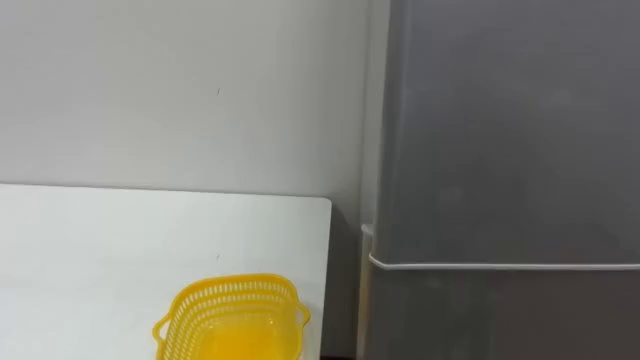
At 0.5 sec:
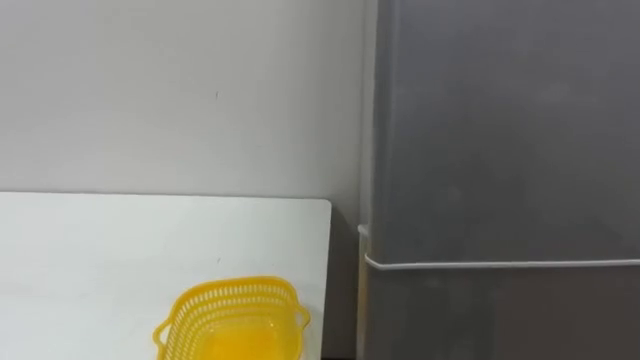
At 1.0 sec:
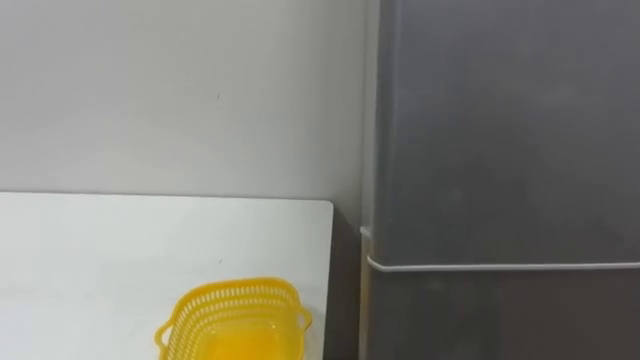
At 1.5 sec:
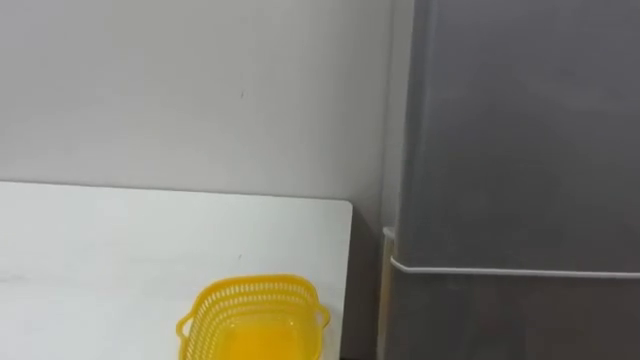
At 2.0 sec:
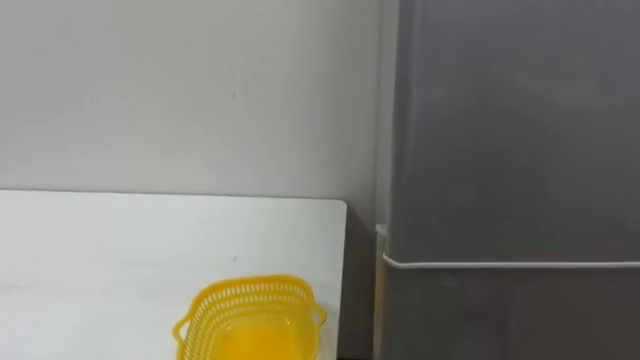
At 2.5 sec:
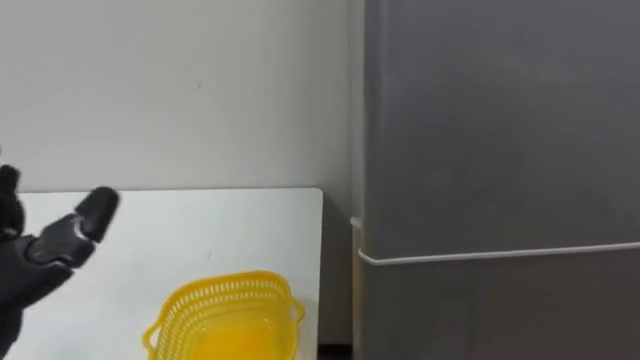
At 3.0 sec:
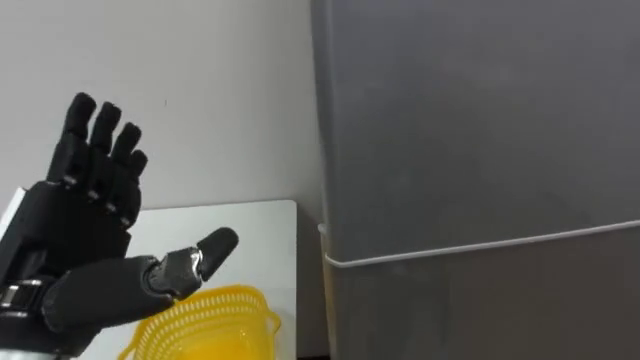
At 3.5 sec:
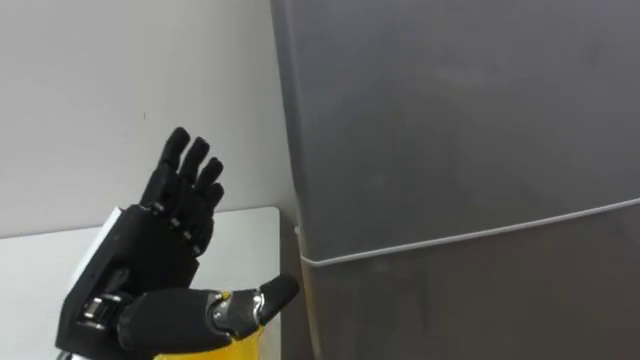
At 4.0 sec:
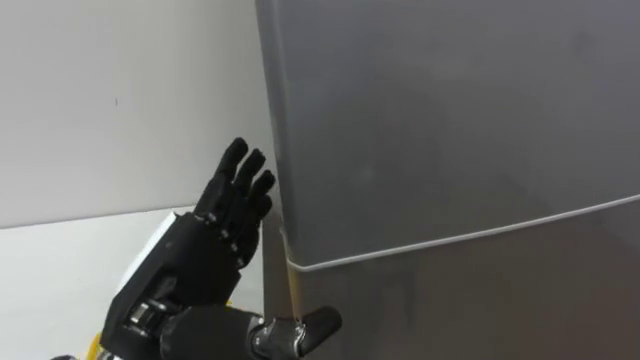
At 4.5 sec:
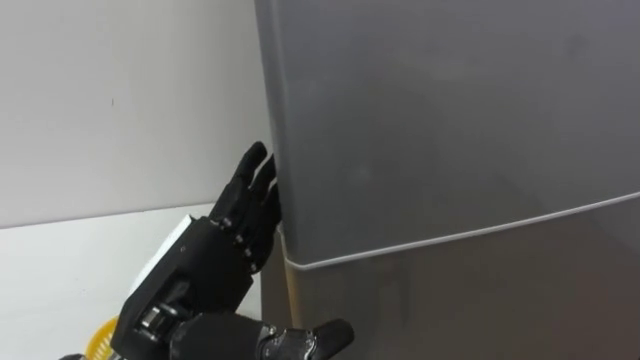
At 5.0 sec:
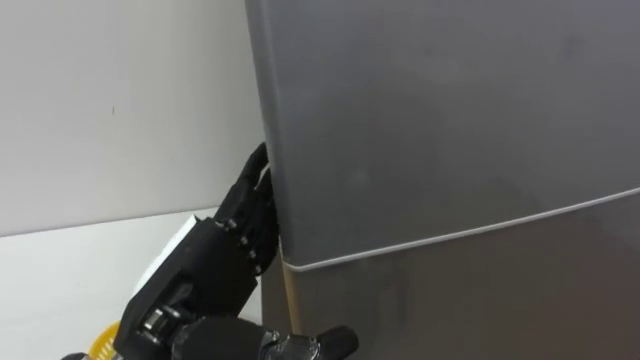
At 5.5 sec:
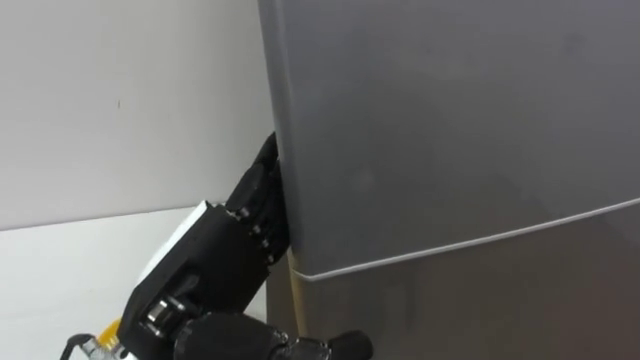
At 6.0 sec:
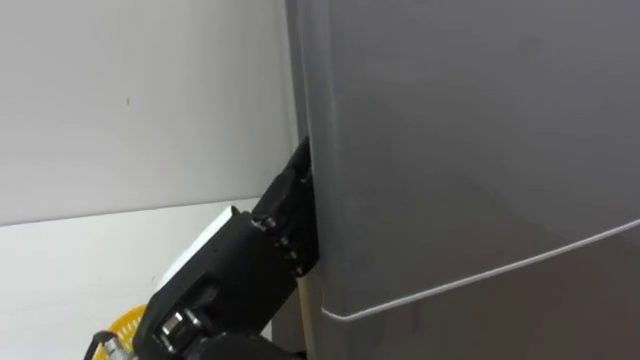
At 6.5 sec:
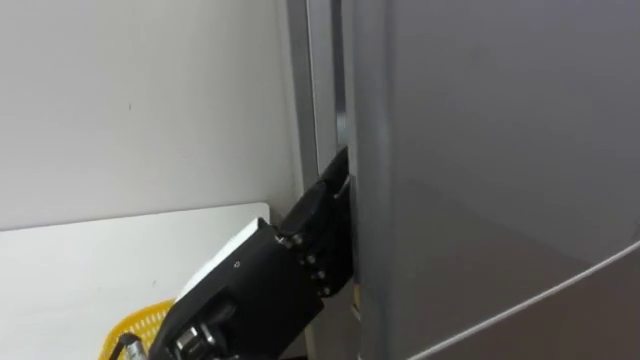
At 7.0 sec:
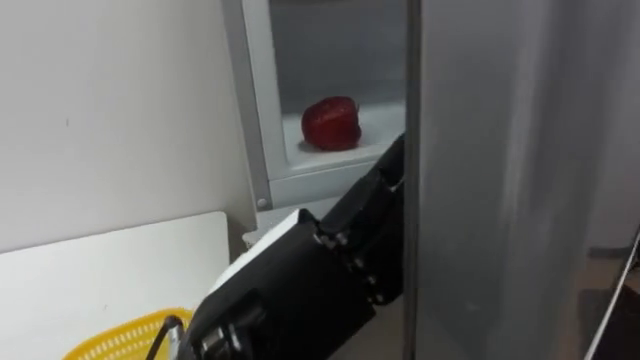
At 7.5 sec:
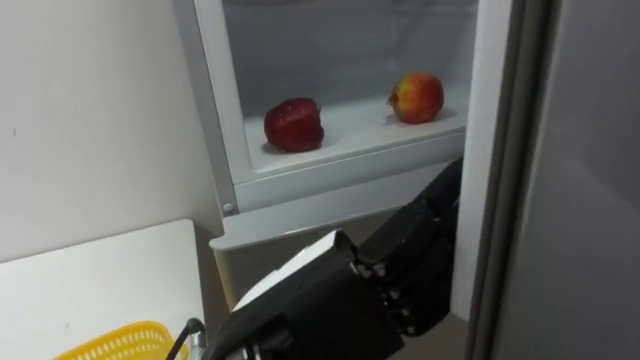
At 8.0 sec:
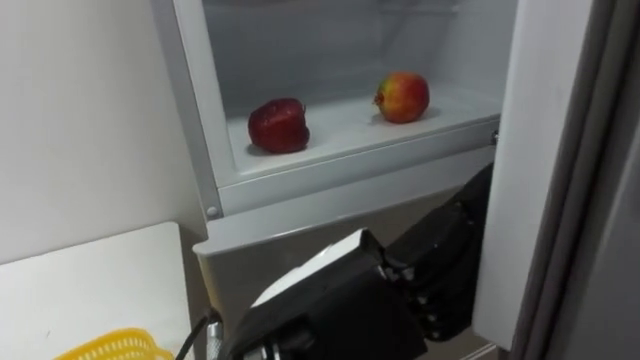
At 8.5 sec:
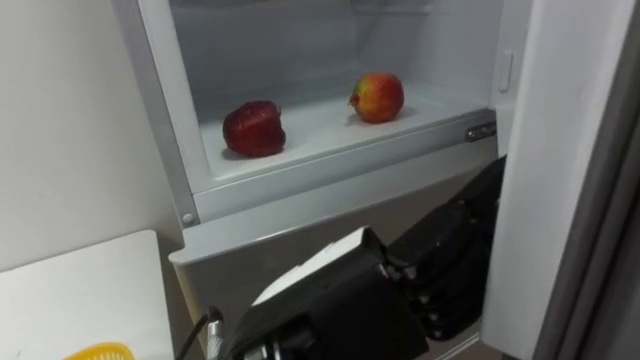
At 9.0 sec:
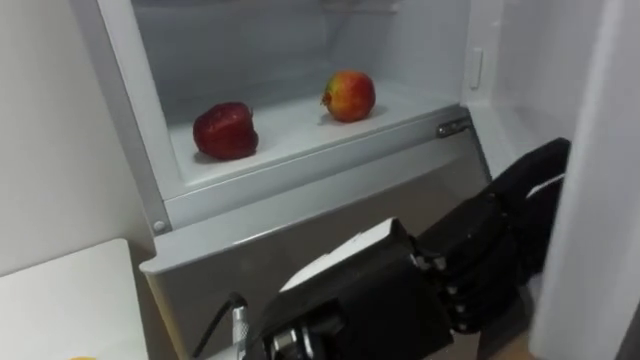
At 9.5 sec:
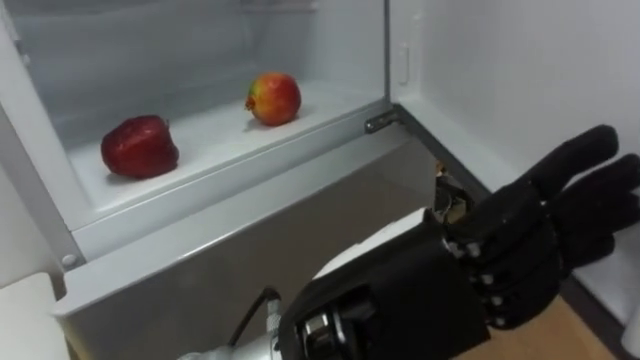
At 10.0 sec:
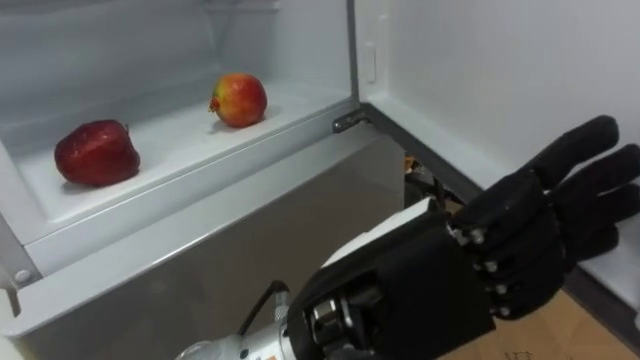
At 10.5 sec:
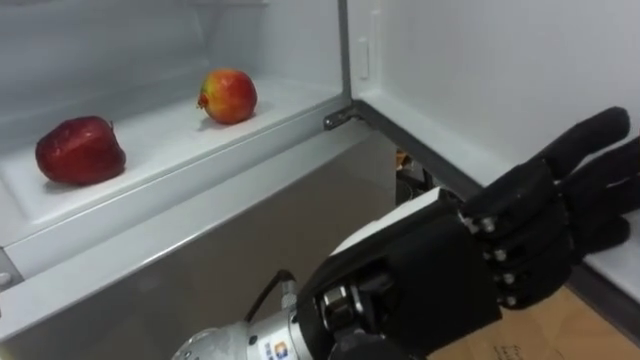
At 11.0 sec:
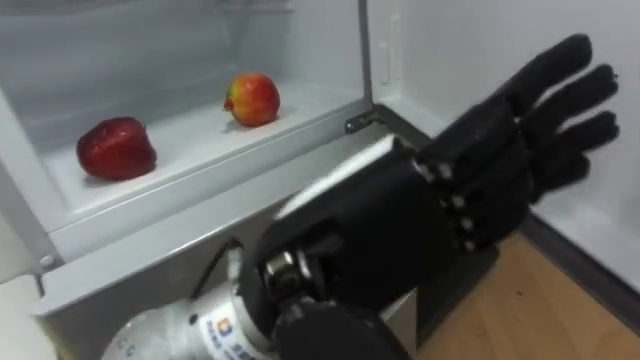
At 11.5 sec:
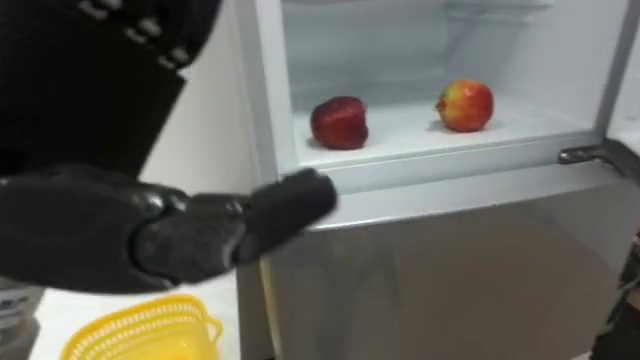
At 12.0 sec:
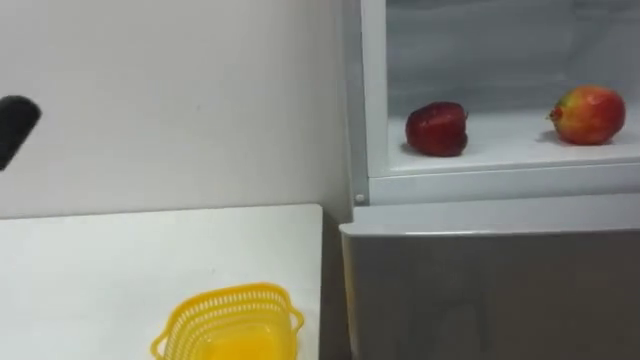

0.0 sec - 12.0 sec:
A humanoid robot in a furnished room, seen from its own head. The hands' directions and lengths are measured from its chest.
Task of the whole recording: Open the refrigerator door, take out the apple and the pomegranate, place them in the fruit basket on the left, and close the refrigerator door.
4.0 sec - 6.0 sec: The left hand moves about 5 cm.
6.0 sec - 8.0 sec: The left hand goes approximately 5 cm to the right.

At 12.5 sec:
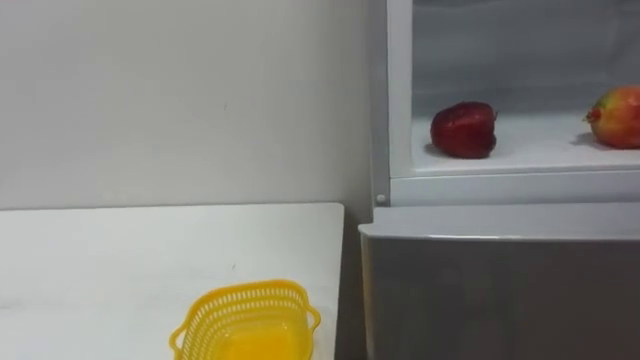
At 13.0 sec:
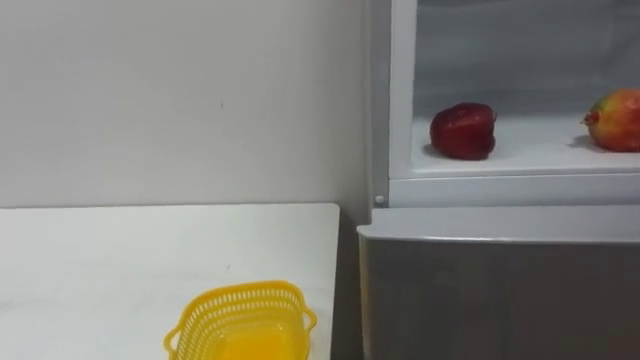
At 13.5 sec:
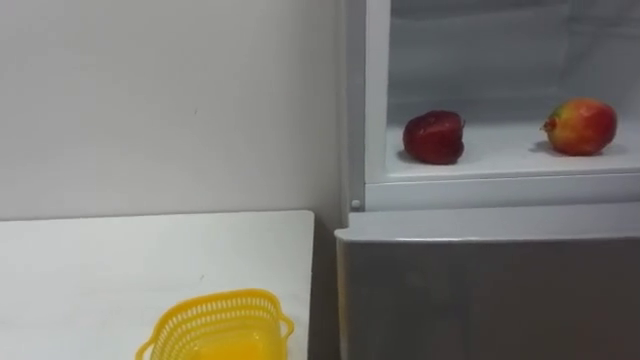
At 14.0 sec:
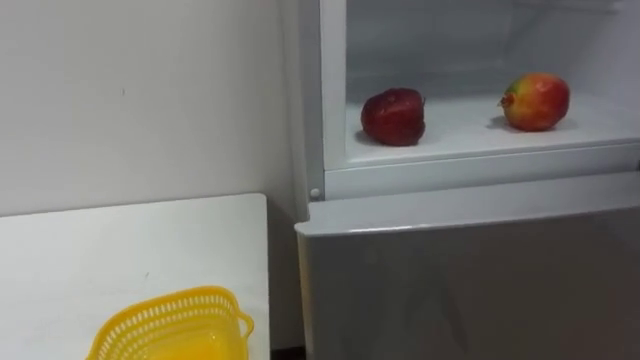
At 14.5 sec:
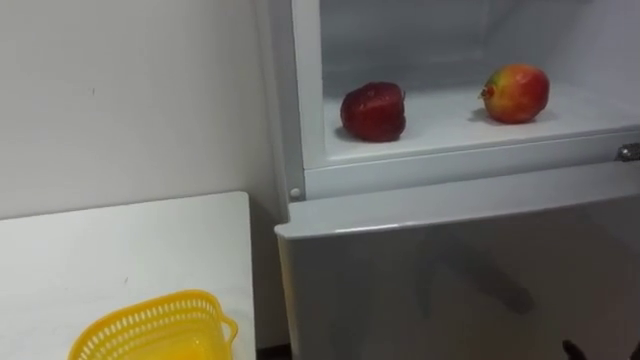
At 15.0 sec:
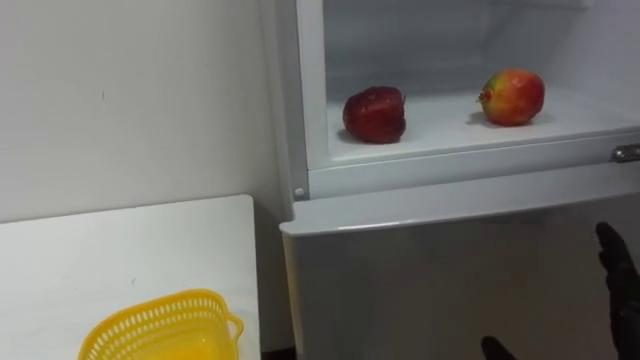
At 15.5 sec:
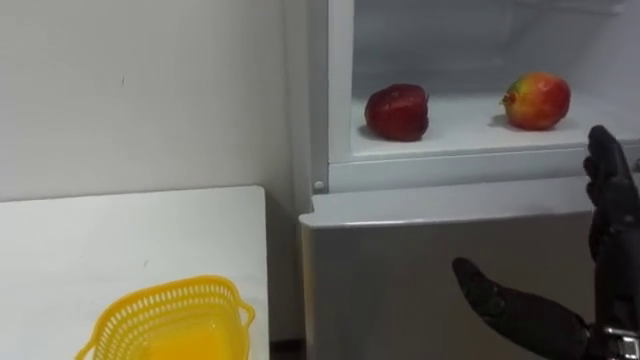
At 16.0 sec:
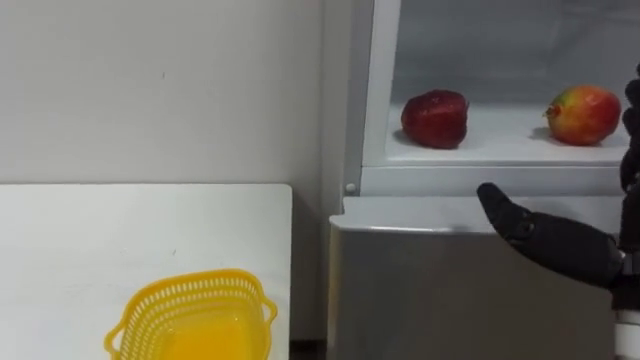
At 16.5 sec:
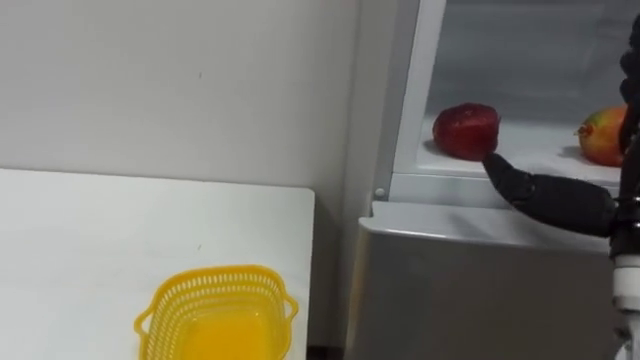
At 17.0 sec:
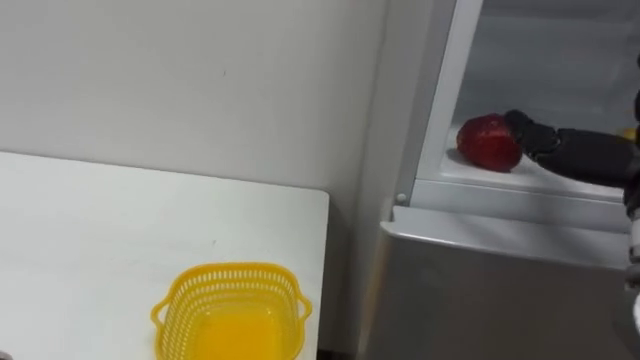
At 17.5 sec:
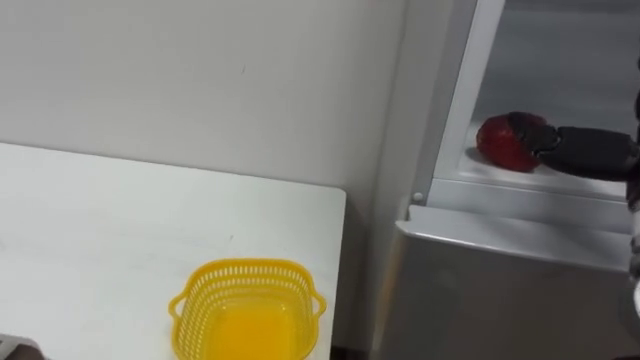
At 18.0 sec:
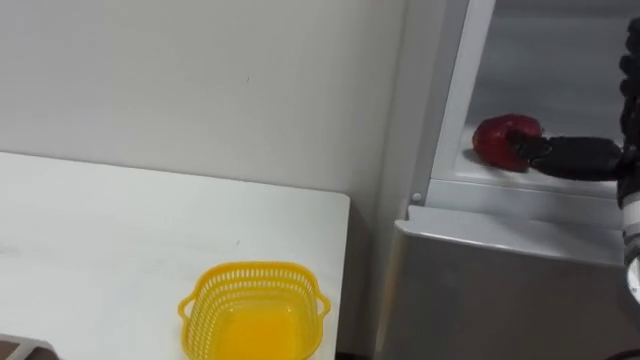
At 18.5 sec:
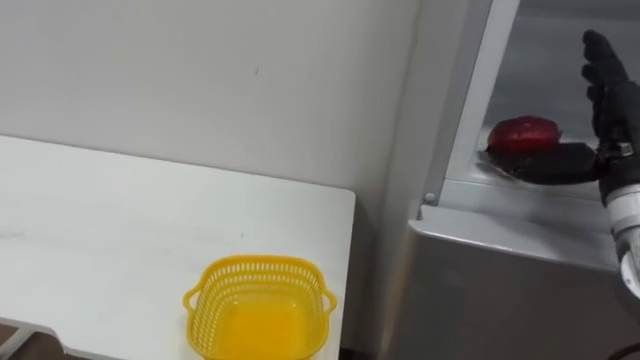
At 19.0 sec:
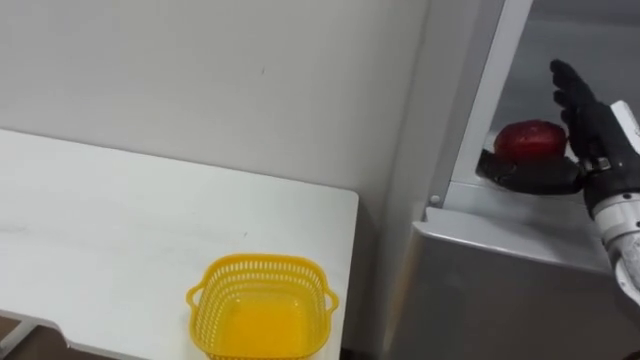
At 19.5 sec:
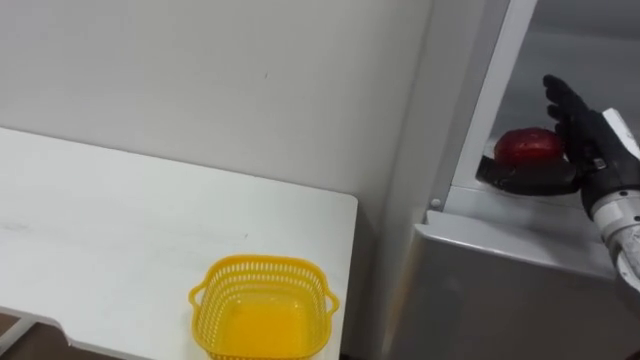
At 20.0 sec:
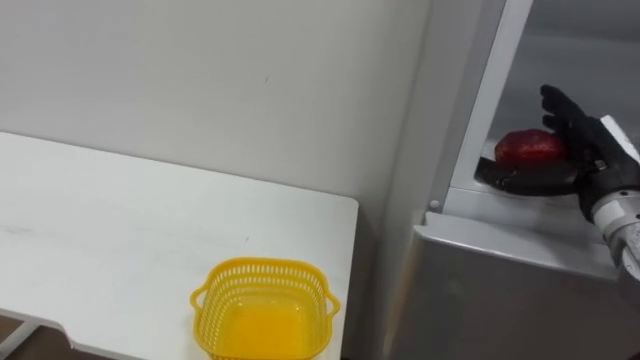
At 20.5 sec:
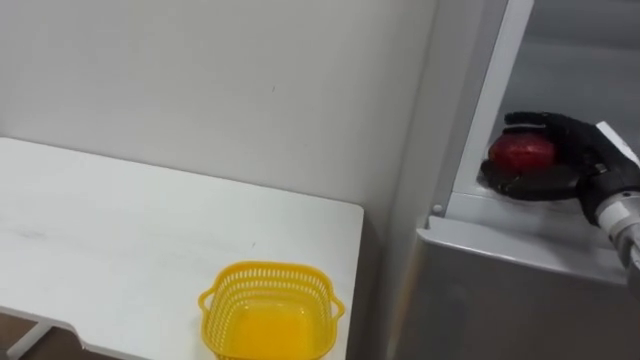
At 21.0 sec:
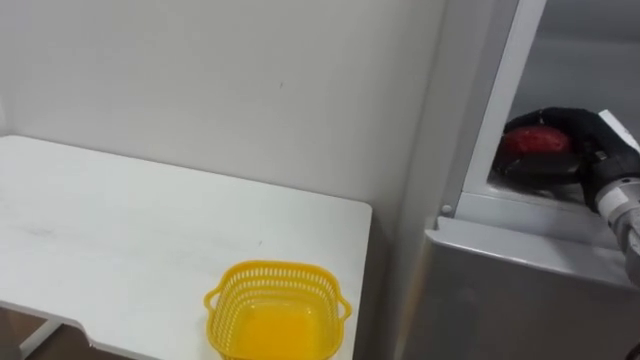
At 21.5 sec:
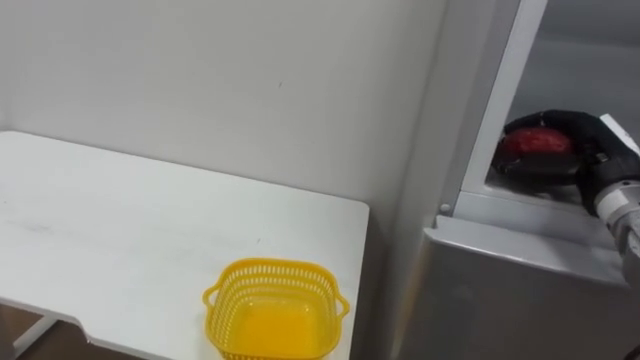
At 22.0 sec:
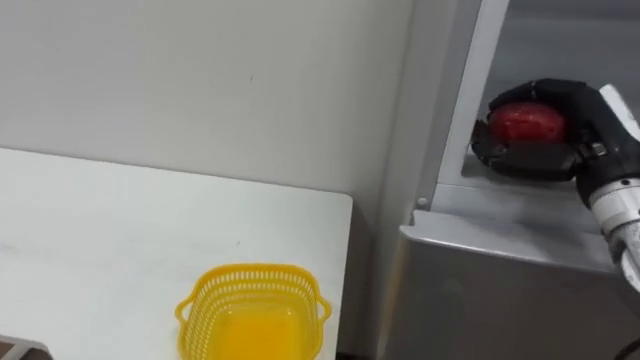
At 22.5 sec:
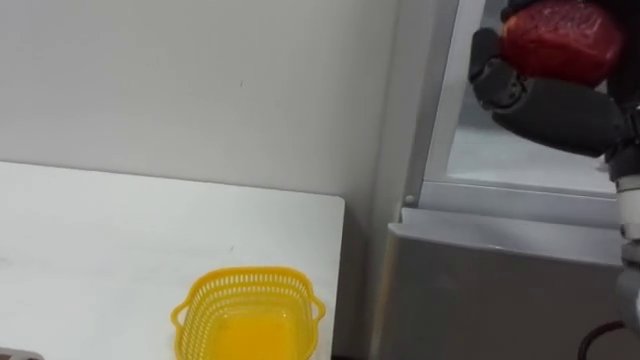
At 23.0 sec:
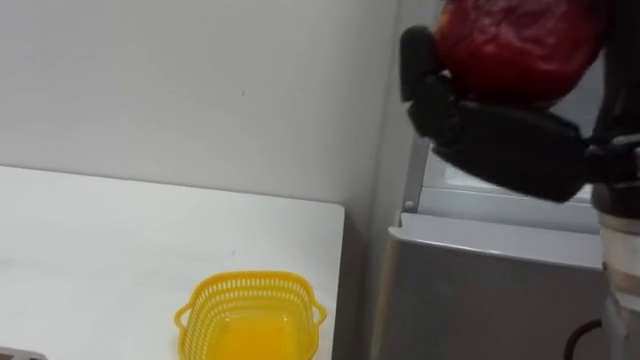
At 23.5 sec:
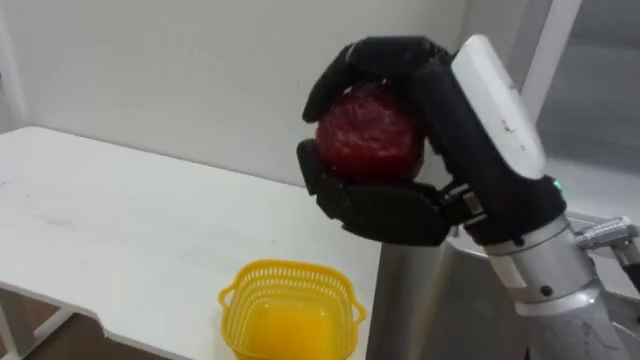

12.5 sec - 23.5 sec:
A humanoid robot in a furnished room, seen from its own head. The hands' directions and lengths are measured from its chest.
Task of the whole recording: Open the refrigerator door, take out the apple and the pomegranate, place them in the fruit basket on the left, and close the refrigerator door.
18.0 sec - 20.0 sec: The right hand heads forward, covering approximately 5 cm.
20.0 sec - 21.5 sec: The right hand closes its fingers.
